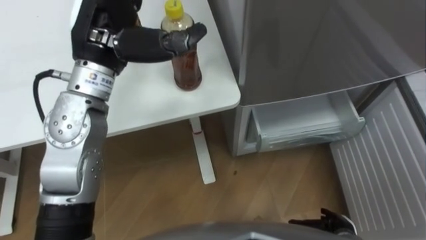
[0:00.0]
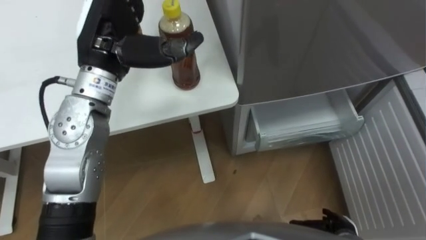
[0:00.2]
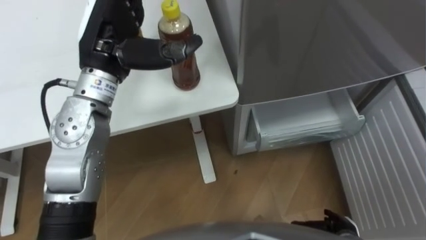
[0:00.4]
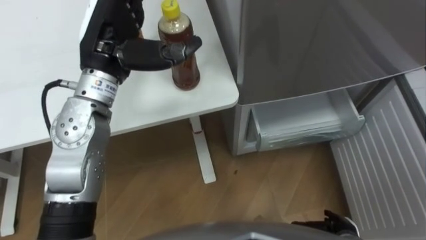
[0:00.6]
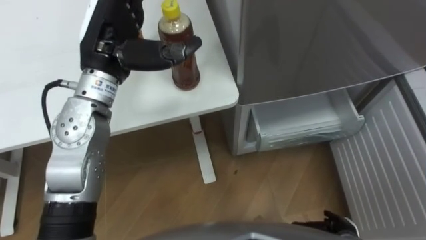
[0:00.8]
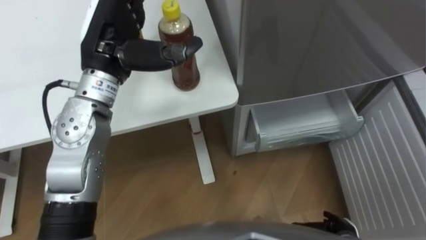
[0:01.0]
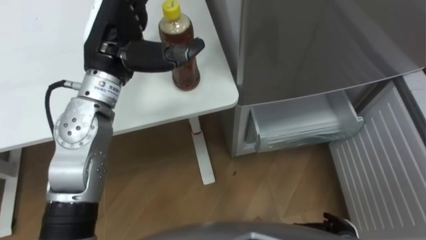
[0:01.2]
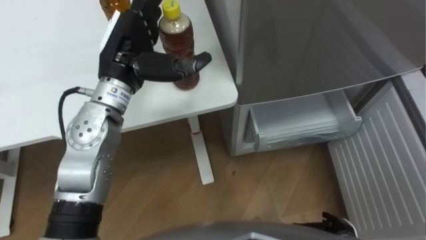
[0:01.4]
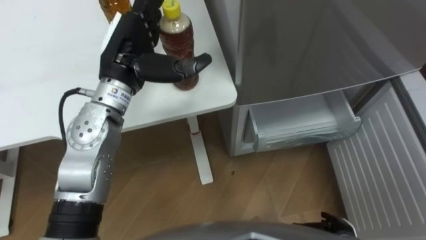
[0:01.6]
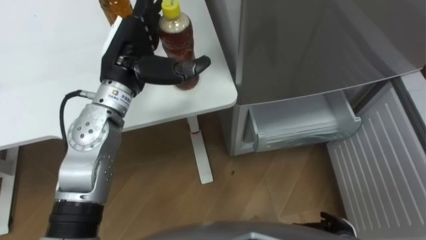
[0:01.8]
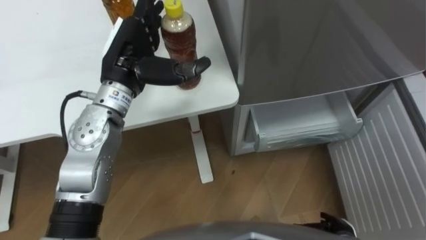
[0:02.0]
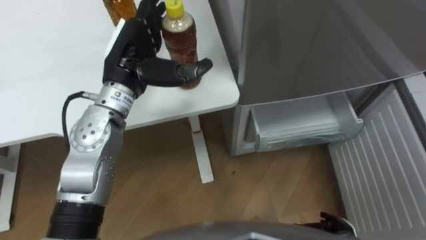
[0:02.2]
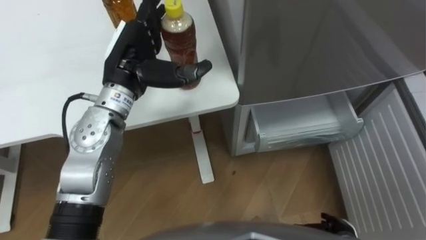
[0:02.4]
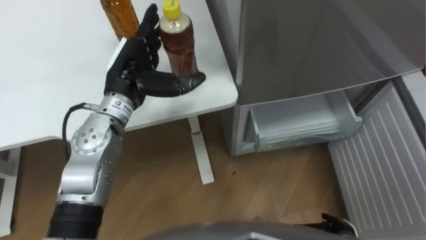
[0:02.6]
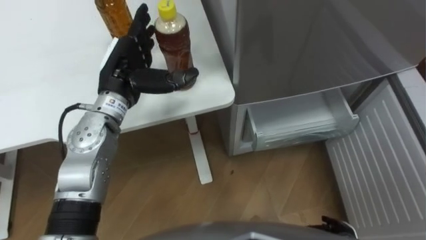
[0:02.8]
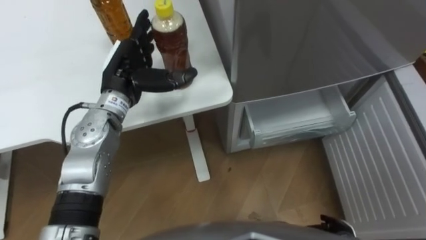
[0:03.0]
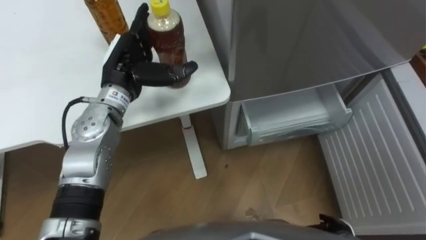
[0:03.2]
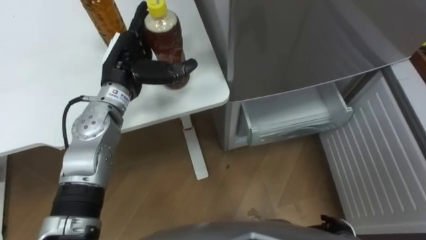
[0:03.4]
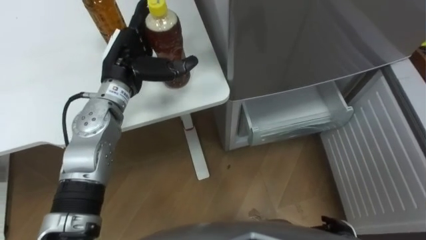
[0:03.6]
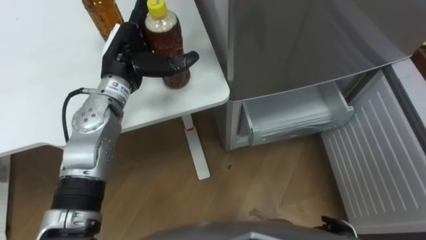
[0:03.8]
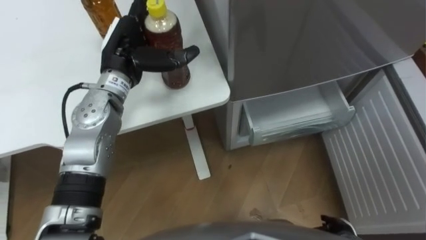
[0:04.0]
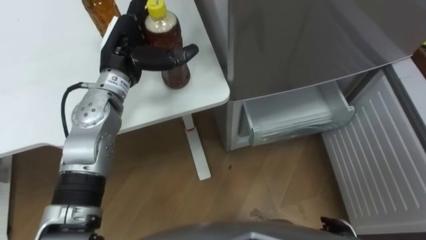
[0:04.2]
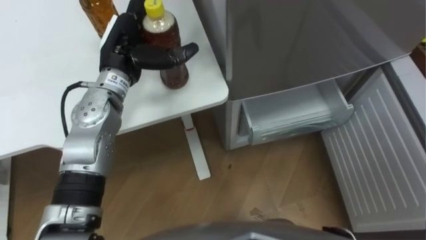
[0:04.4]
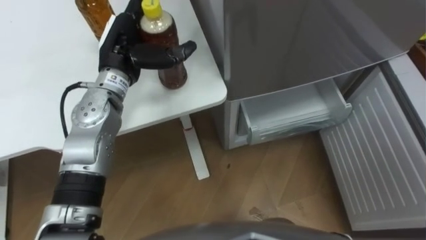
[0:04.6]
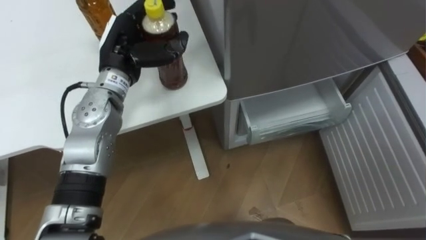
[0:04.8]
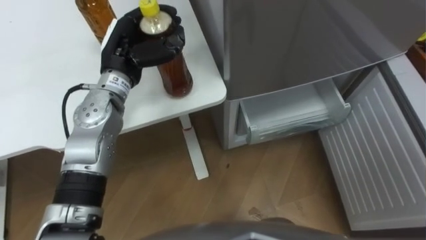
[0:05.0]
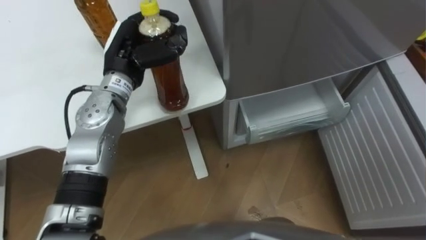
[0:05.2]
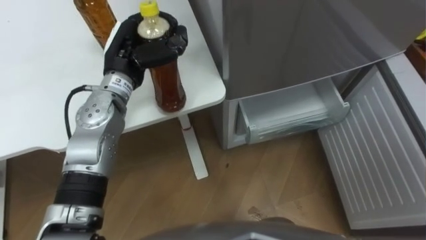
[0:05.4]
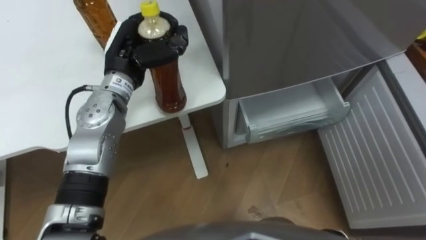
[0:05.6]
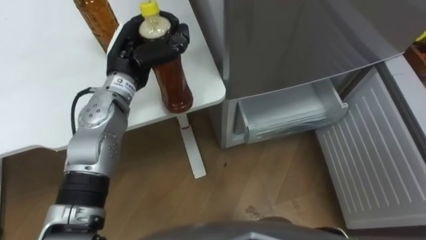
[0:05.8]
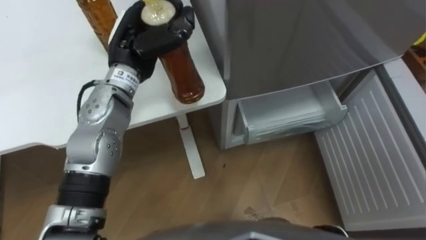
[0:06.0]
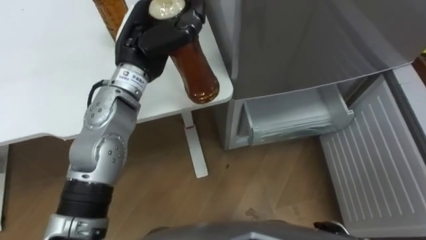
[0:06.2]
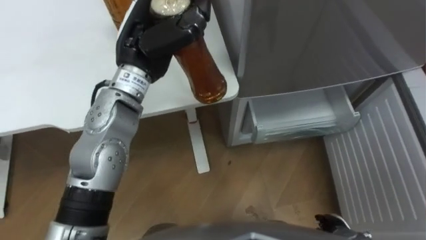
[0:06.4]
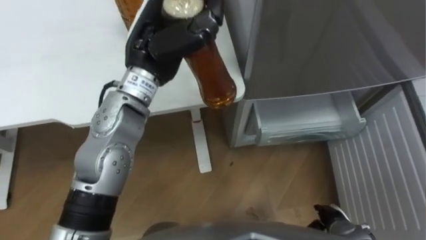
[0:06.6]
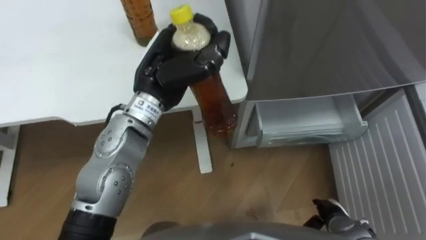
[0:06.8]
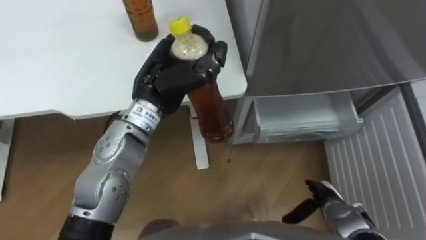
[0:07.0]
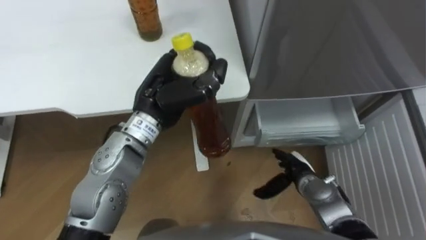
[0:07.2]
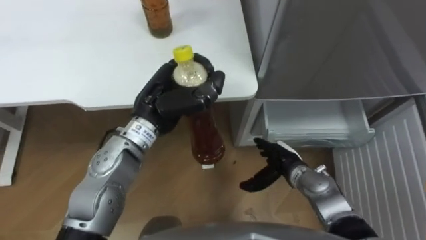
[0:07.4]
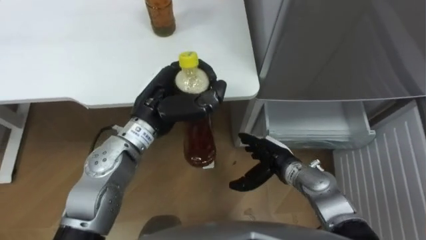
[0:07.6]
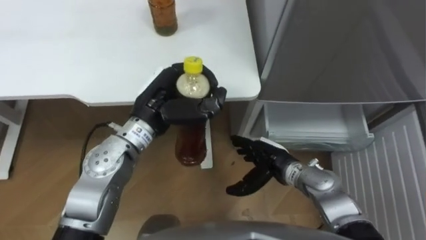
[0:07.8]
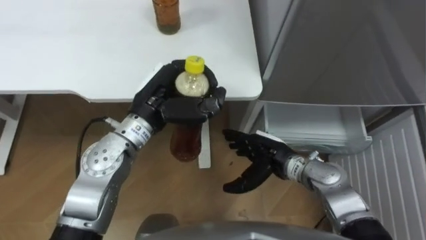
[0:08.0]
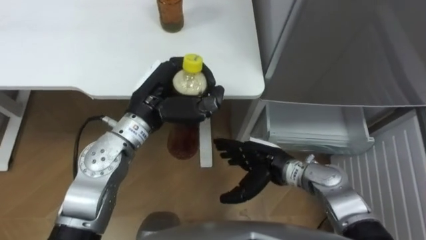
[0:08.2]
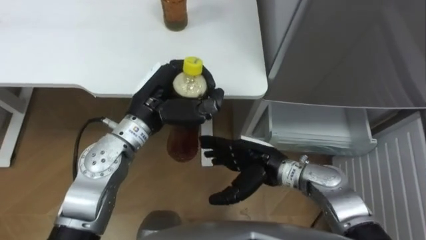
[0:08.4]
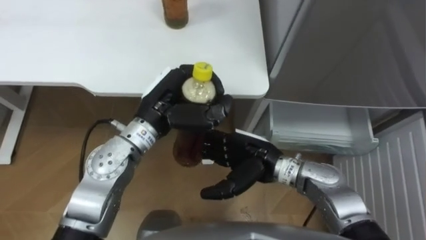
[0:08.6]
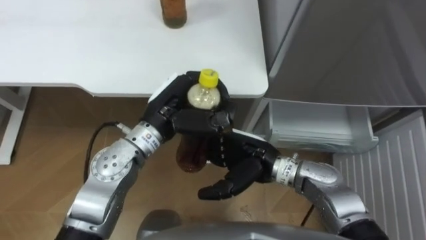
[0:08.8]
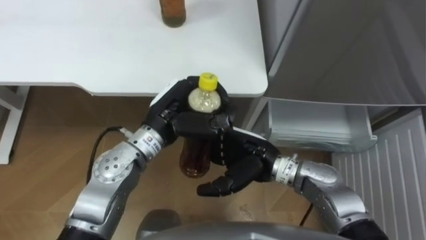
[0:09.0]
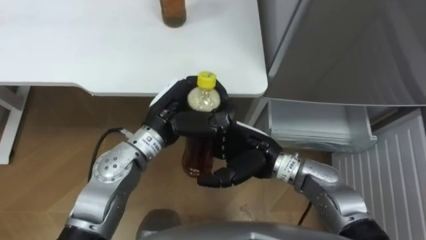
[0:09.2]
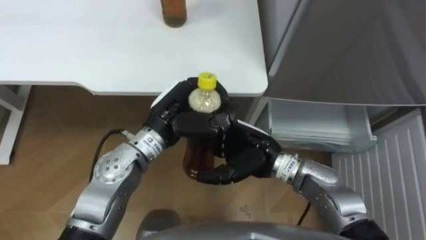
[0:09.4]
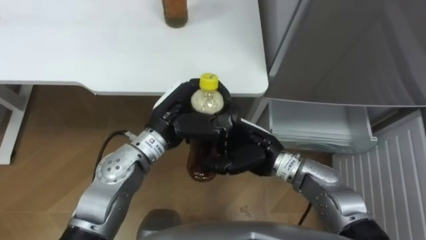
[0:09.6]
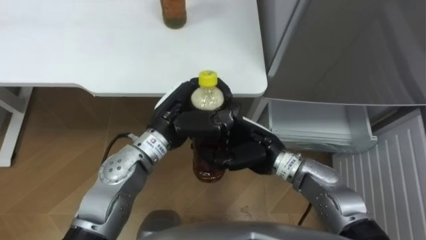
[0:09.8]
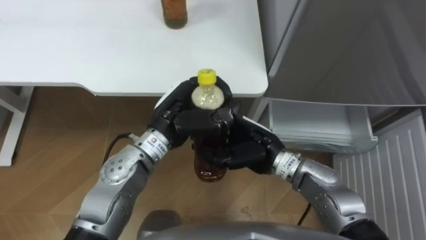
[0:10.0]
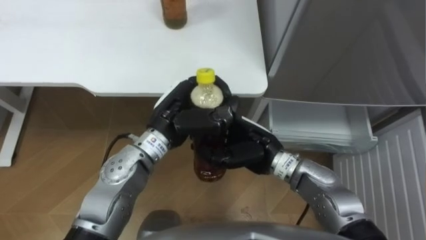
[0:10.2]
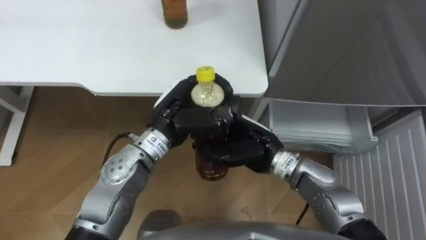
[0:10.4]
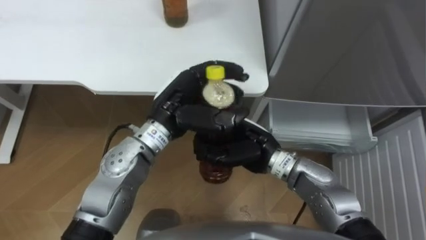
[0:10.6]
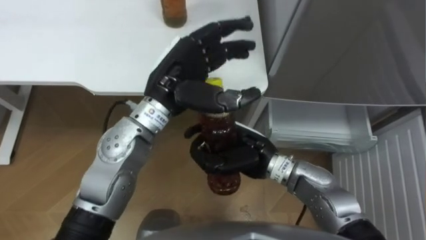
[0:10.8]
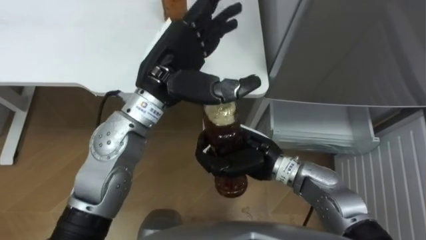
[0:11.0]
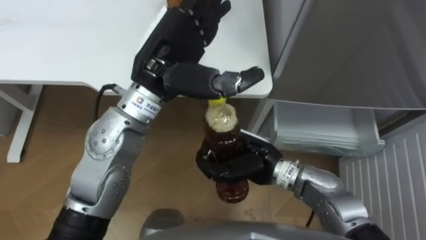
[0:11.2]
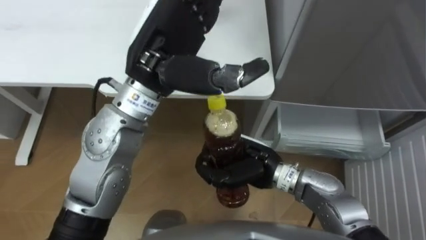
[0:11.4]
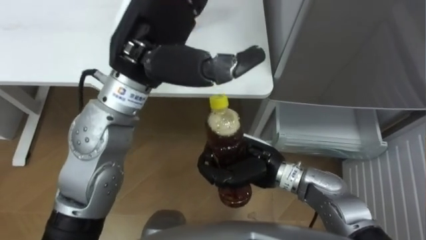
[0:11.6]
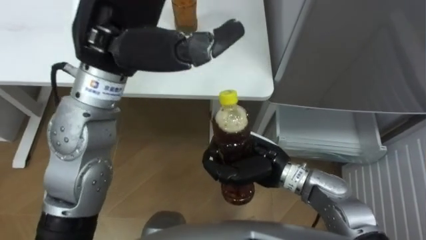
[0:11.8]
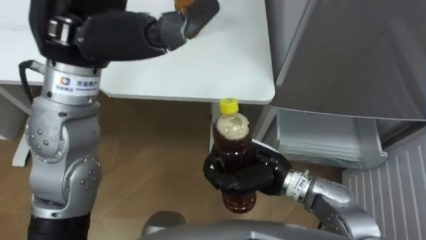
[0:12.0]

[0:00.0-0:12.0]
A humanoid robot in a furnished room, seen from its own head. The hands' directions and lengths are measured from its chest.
Task of the whole recording: Place the drink on the table on the bottom shelf of the refrigerator, then close the drawer and the refrigerator door.
0:00.0 to 0:01.6: The left hand travels downward by approximately 5 cm.
0:01.6 to 0:03.0: The left hand shifts some 5 cm downward.
0:04.4 to 0:06.0: The left hand closes.
0:06.0 to 0:07.6: The left hand shifts roughly 10 cm backward.
0:07.6 to 0:09.0: The right hand travels upward and to the left by roughly 10 cm.
0:09.0 to 0:10.4: The right hand closes up.
0:10.4 to 0:12.0: The right hand closes its fingers, while the left hand is displaced upward by about 20 cm, and opens its fingers.

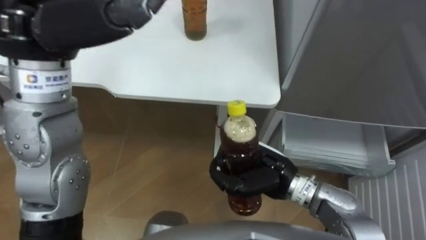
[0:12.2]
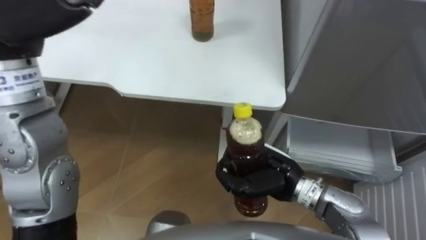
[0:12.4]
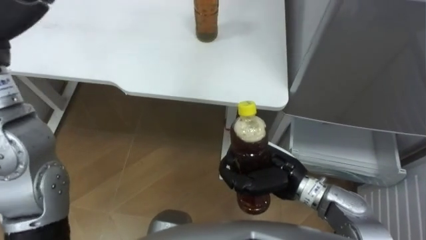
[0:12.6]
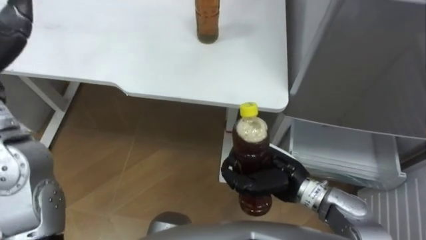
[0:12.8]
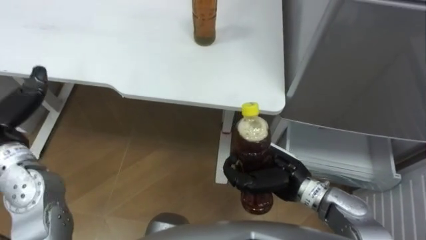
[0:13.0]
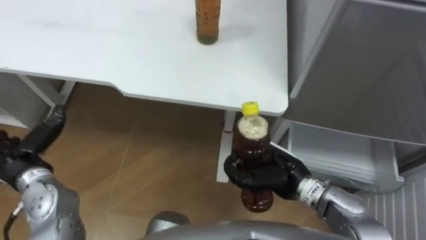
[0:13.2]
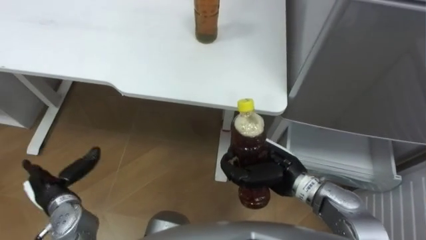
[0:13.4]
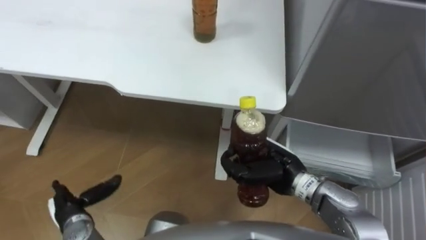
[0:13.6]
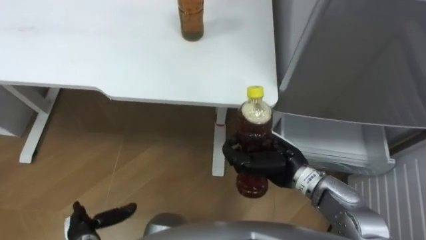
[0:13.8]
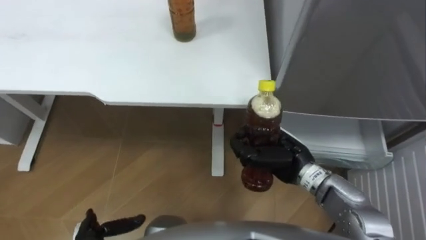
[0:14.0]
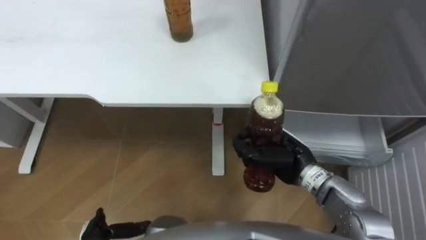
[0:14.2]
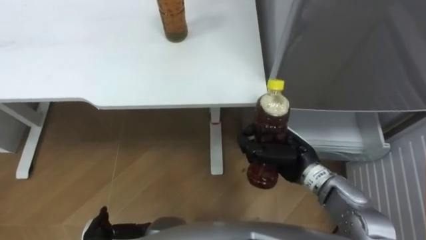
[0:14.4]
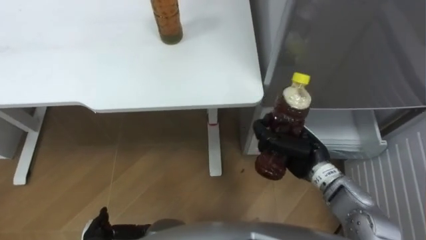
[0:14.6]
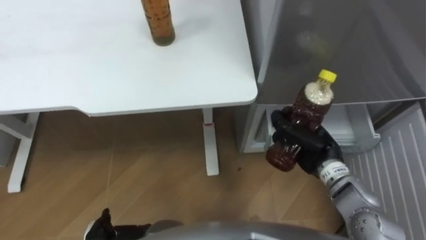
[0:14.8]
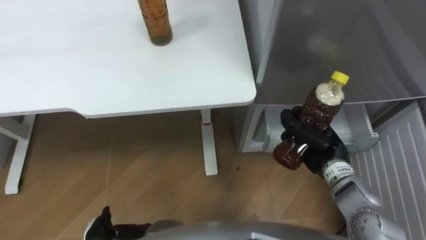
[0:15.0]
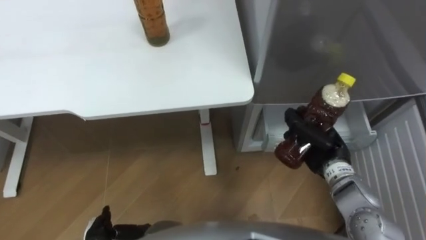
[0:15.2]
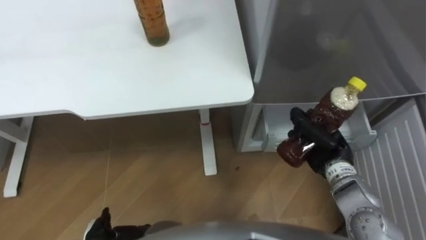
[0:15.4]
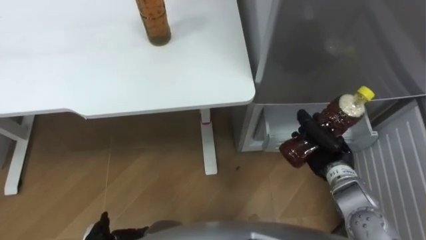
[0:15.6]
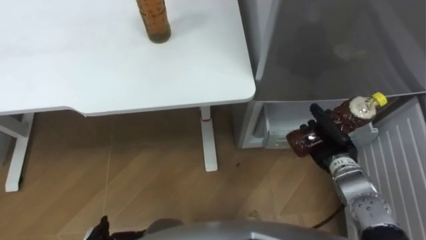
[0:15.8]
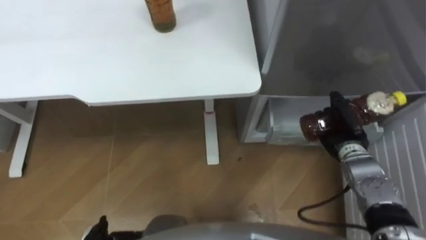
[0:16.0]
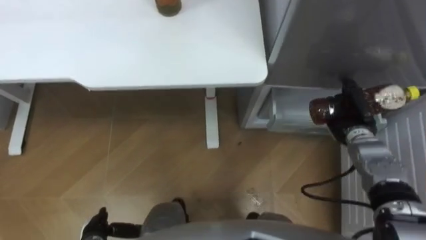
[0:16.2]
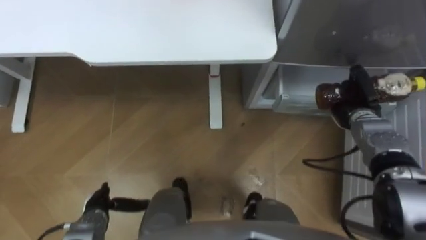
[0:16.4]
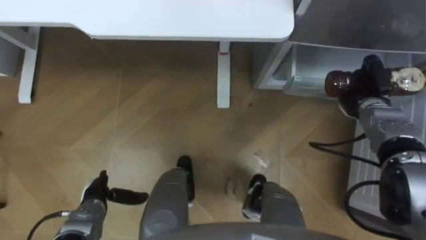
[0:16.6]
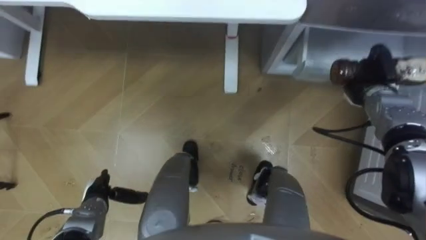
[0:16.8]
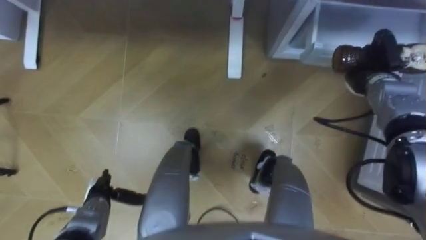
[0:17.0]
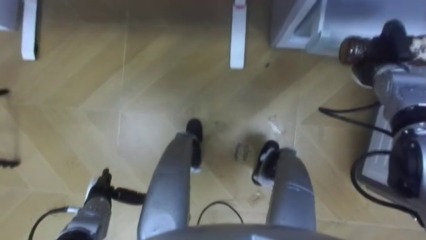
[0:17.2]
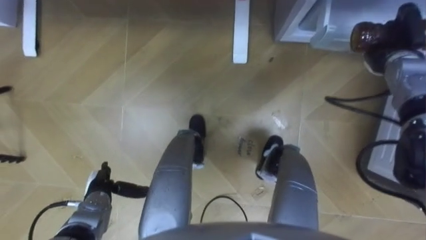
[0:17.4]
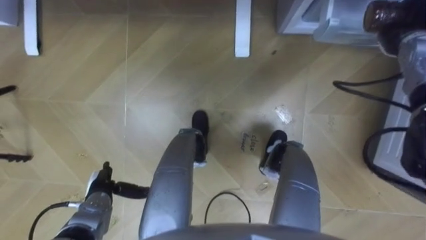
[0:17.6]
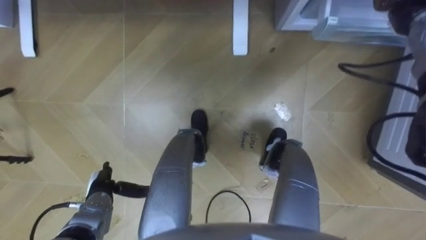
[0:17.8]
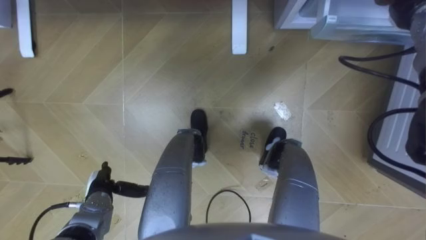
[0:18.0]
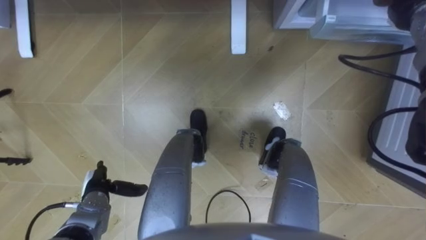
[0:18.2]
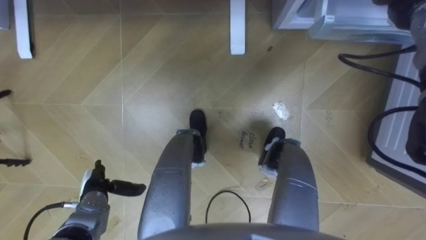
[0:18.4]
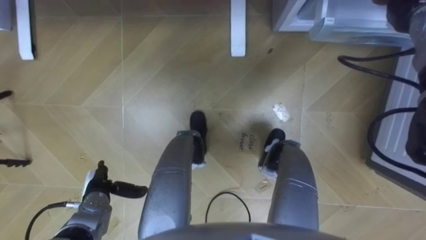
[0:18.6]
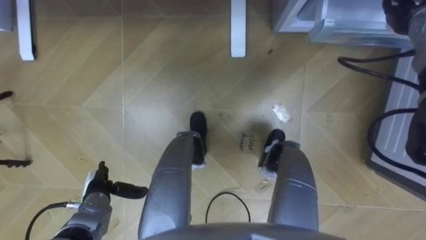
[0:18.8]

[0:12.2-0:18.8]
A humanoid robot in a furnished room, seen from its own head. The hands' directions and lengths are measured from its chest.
Task of the whole recording: Place the drink on the table on the bottom shelf of the refrigerator, then close the drawer and the refrigerator door.
0:13.8 to 0:15.4: The right hand shifts approximately 10 cm to the right.
0:15.4 to 0:17.2: The right hand moves forward and to the right, approximately 20 cm.
0:17.2 to 0:18.8: The right hand shifts roughly 10 cm upward, and opens up.
